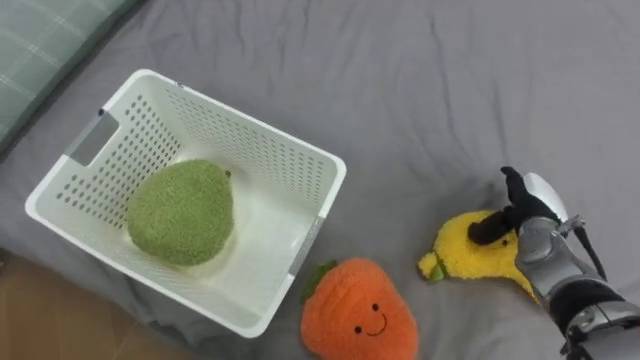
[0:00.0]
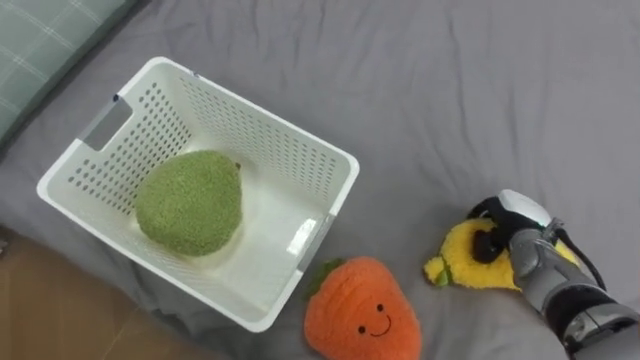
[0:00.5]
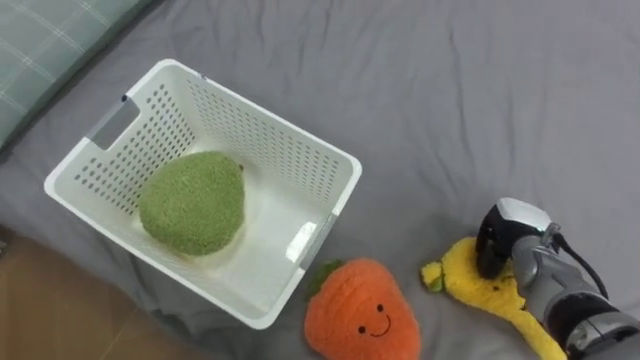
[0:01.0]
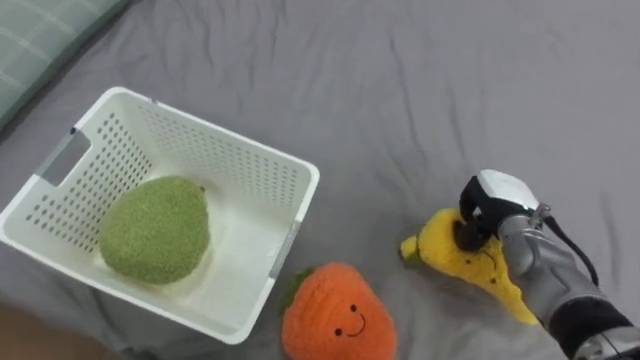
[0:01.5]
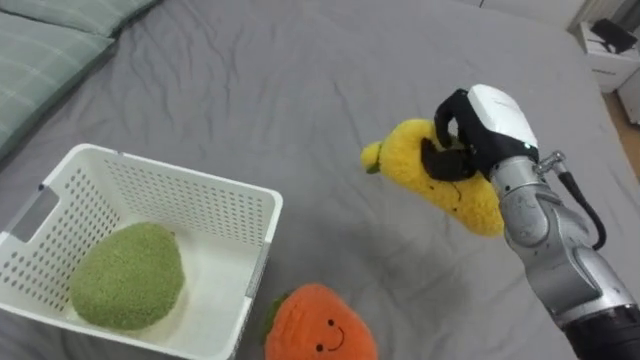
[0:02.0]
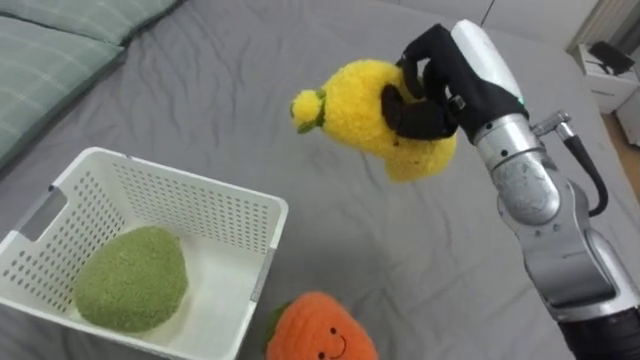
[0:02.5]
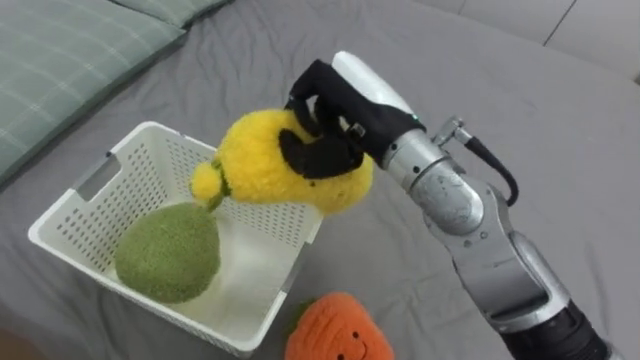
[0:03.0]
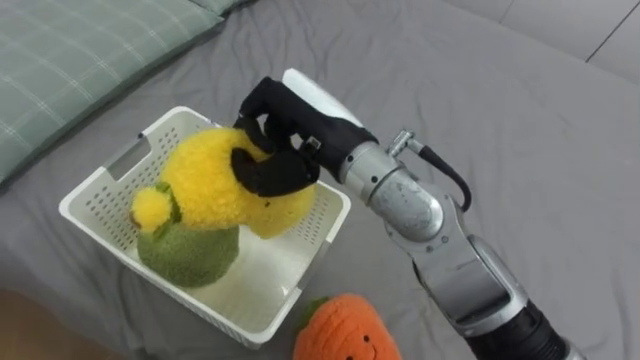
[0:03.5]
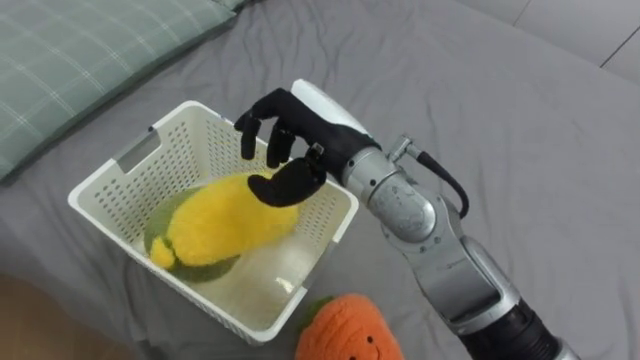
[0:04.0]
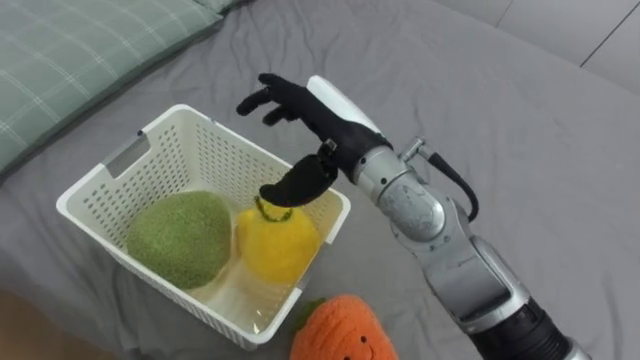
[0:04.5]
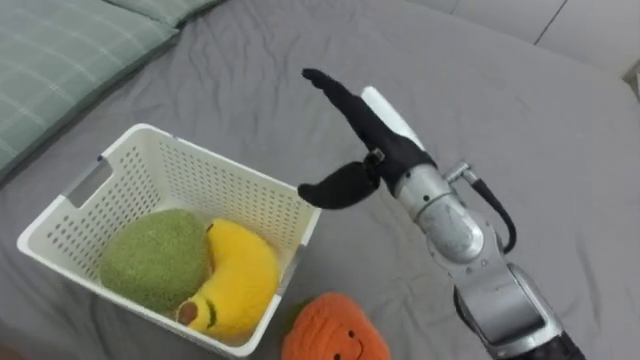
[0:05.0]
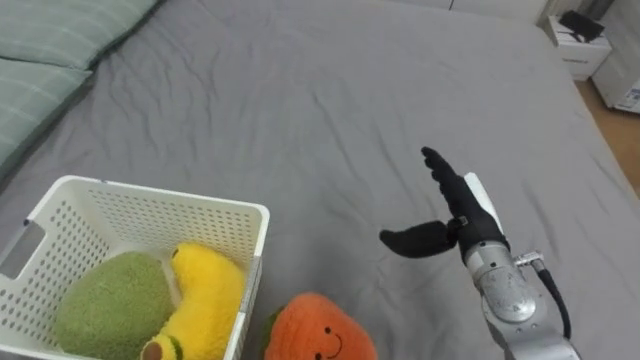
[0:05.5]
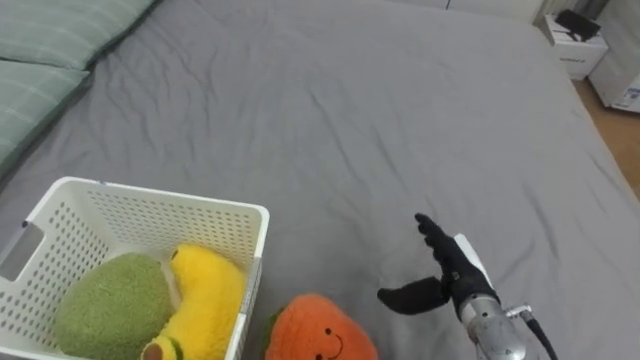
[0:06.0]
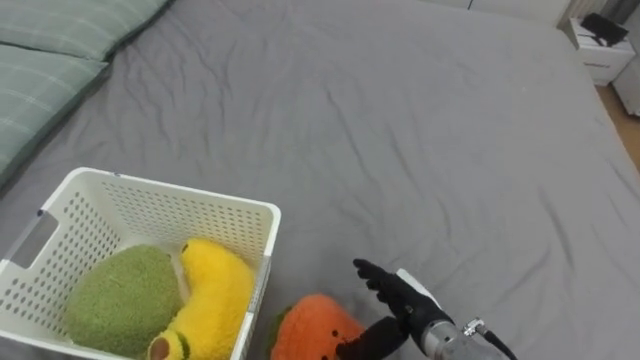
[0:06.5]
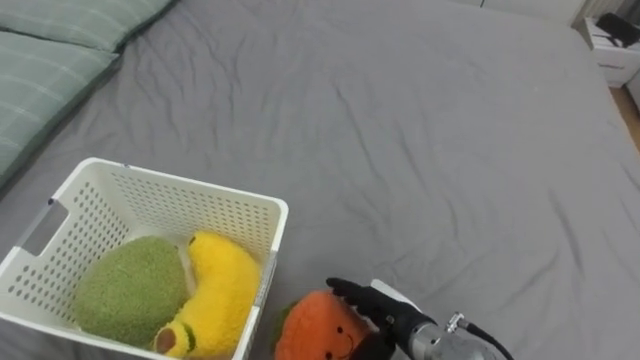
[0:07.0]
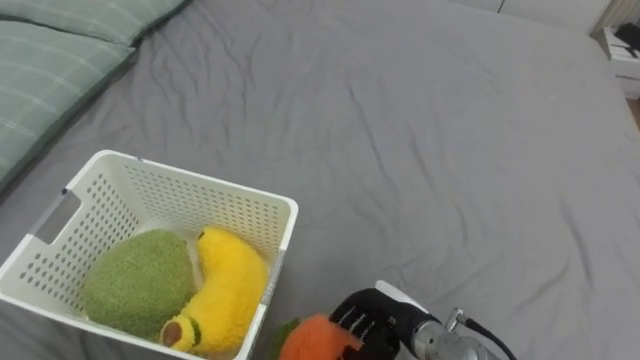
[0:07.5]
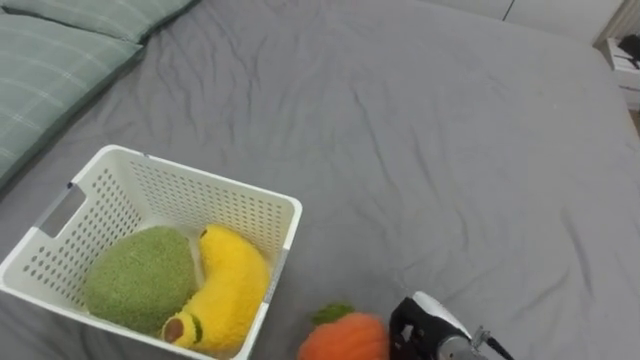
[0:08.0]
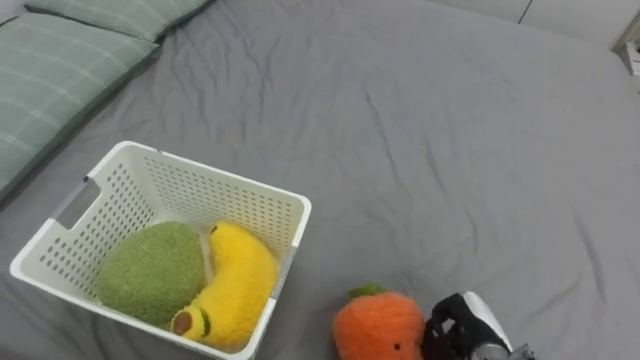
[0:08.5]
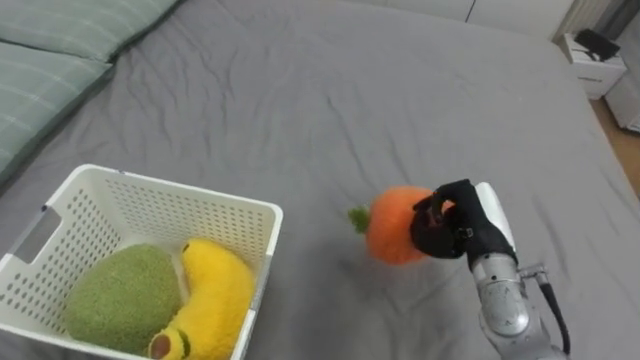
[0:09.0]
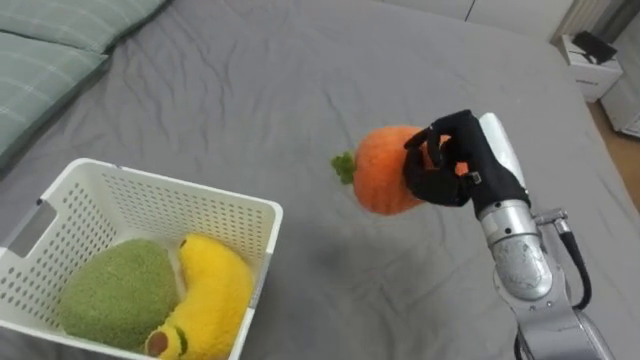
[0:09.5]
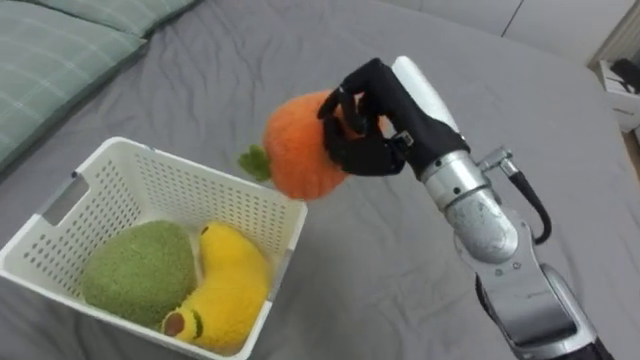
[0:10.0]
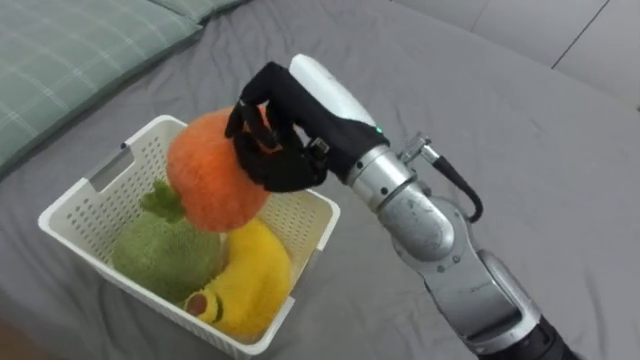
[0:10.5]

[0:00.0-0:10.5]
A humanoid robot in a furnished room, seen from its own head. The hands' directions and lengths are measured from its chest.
Task of the whole recording: Put the toys on the bed into the basket on the left.
0:00.0 to 0:02.0: The right hand travels upward and to the left by approximately 15 cm, and closes up.
0:02.0 to 0:04.0: The right hand moves to the left, approximately 20 cm.
0:04.0 to 0:06.5: The right hand heads downward and to the right, covering about 25 cm, and opens up.
0:06.5 to 0:08.5: The right hand moves to the right and downward, about 10 cm, and closes up.
0:08.5 to 0:10.5: The right hand travels upward and to the left by some 40 cm.

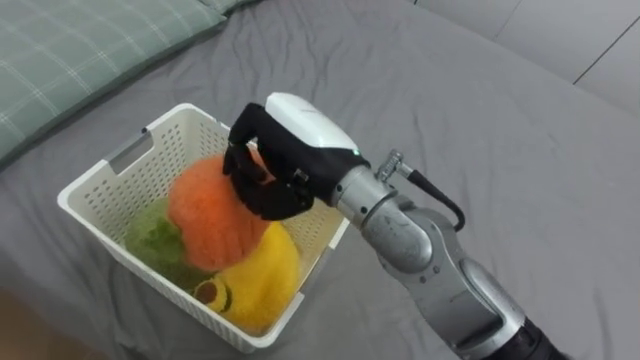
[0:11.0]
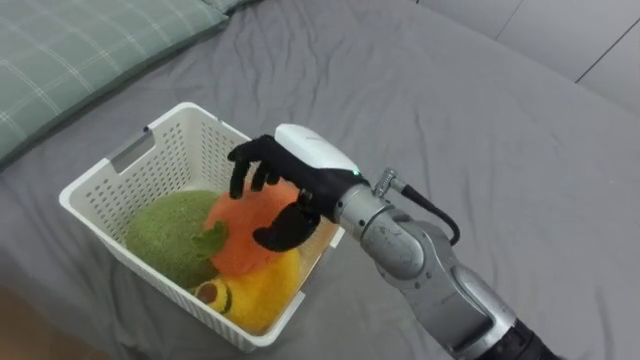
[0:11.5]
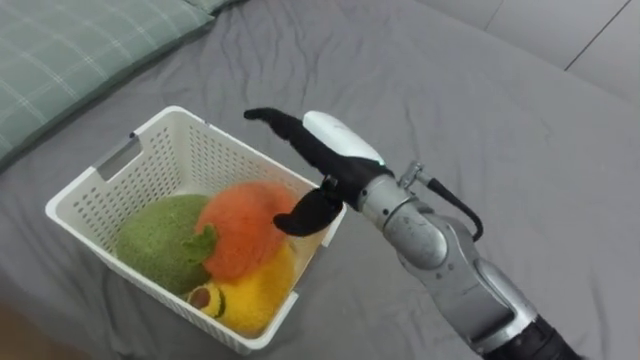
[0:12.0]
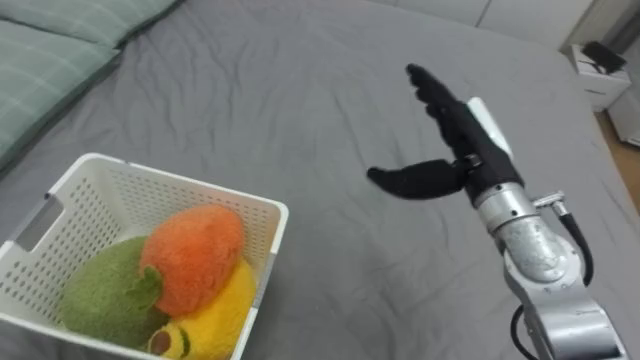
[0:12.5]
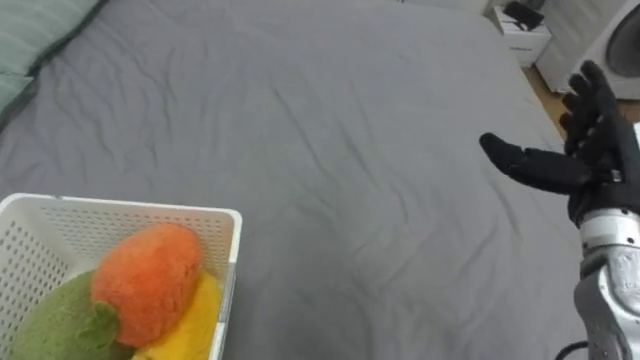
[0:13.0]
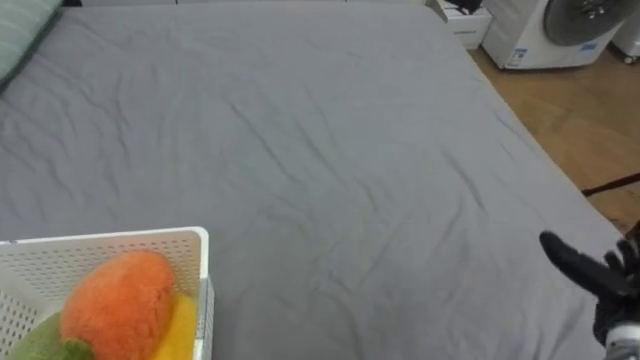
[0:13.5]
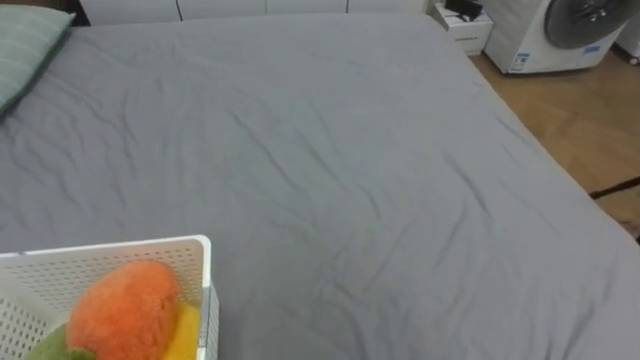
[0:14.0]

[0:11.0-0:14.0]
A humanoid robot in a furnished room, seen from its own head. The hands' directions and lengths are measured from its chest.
Task of the whole recording: Put the toys on the bed into the basket on the left.
0:11.0 to 0:12.5: The right hand heads to the right, covering some 20 cm, and opens.

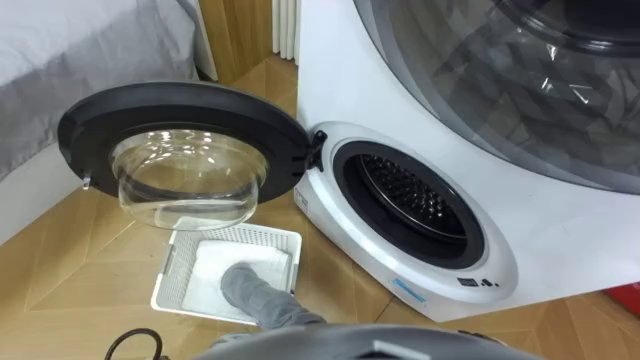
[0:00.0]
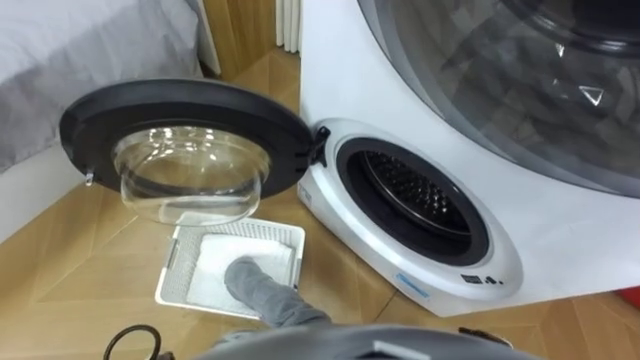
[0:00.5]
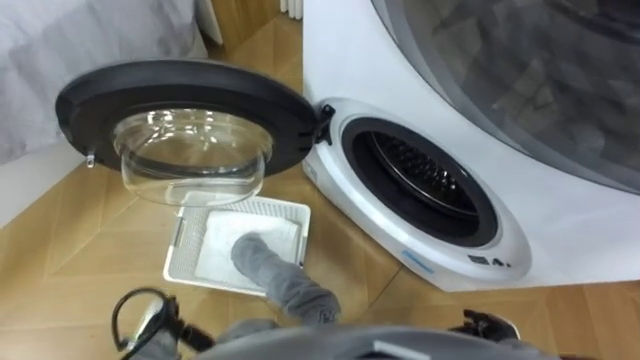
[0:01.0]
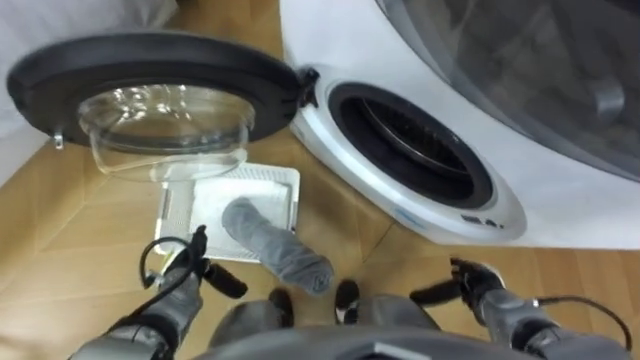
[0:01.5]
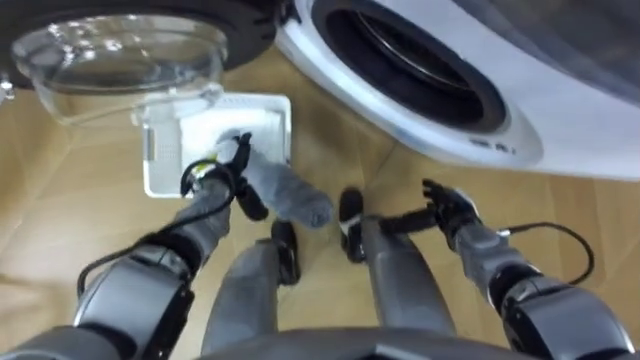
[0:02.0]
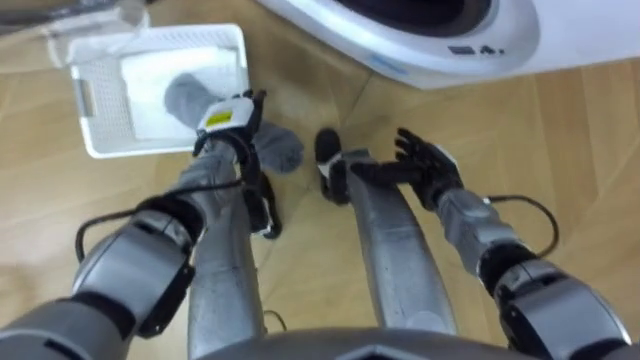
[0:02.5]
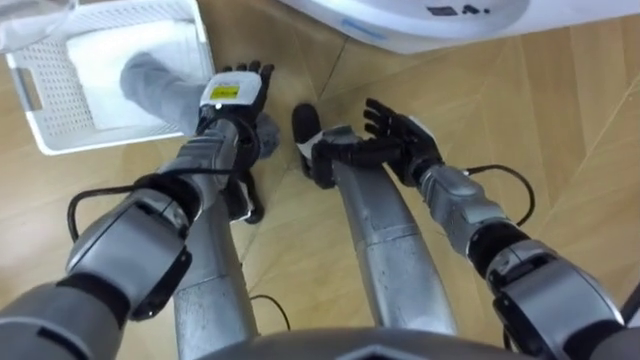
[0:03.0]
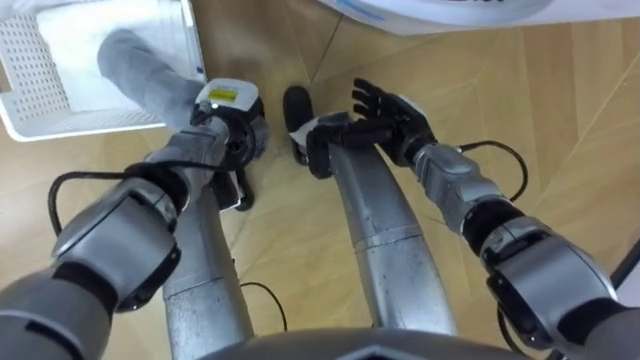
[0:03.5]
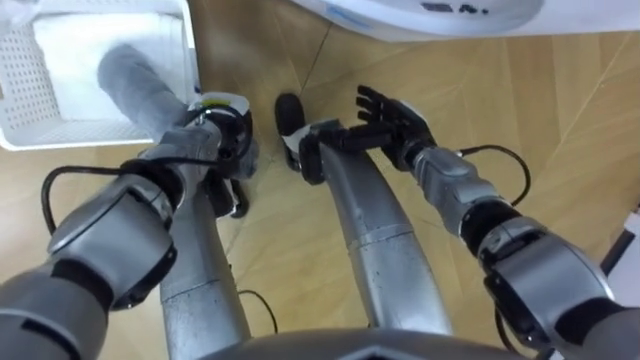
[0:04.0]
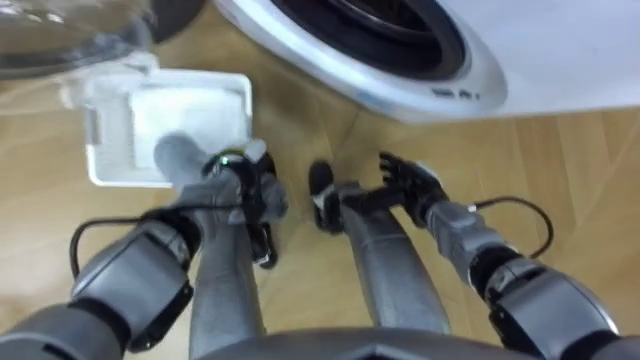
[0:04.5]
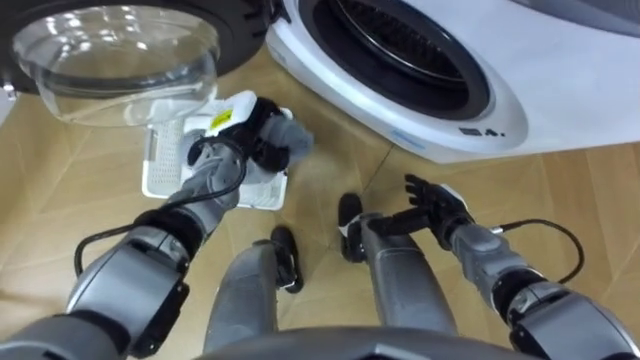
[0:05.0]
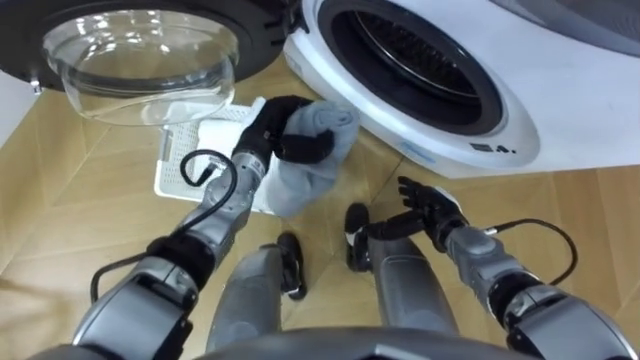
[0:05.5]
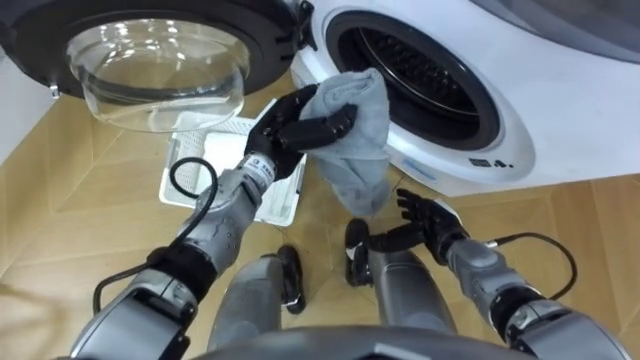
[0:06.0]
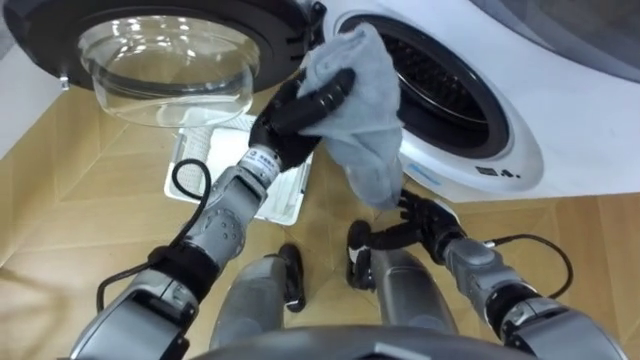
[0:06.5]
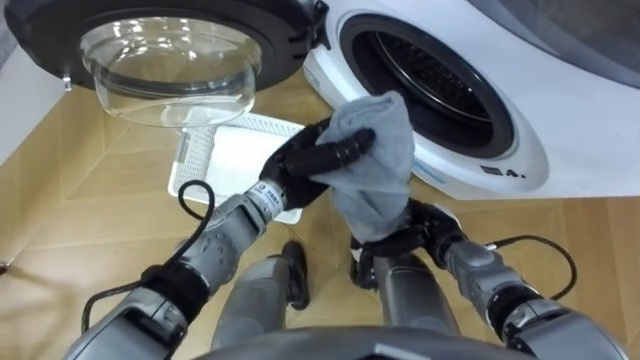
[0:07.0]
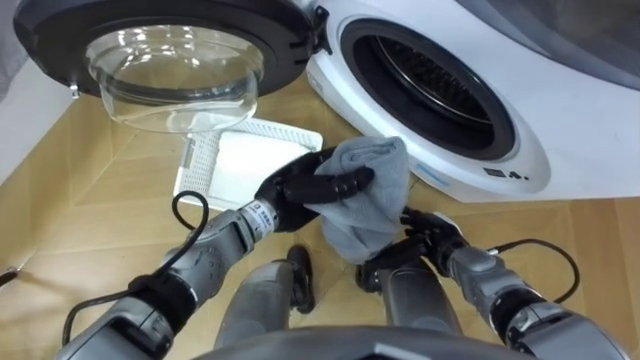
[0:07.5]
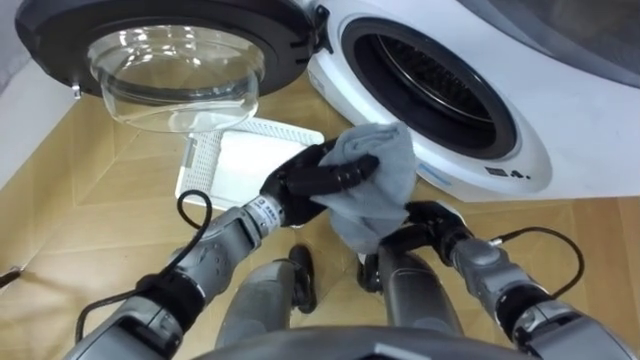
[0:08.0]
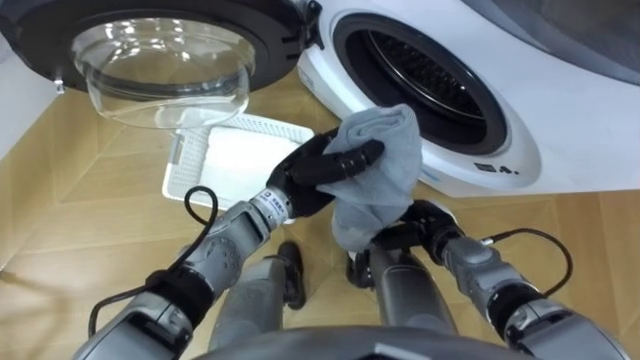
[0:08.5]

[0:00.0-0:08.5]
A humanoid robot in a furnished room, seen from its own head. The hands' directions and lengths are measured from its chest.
Task of the whole recording: Take the towel from the basket and put it into the washing machine.
0:02.0 to 0:04.0: The left hand is displaced forward by some 5 cm, and closes its fingers. Meanwhile the right hand moves forward, to the left and upward, approximately 15 cm.
0:04.0 to 0:06.5: The right hand heads backward, downward and to the right, covering about 15 cm. The left hand moves to the right and upward, about 10 cm.
0:06.5 to 0:08.5: The right hand closes its fingers, while the left hand heads backward, covering approximately 5 cm.
